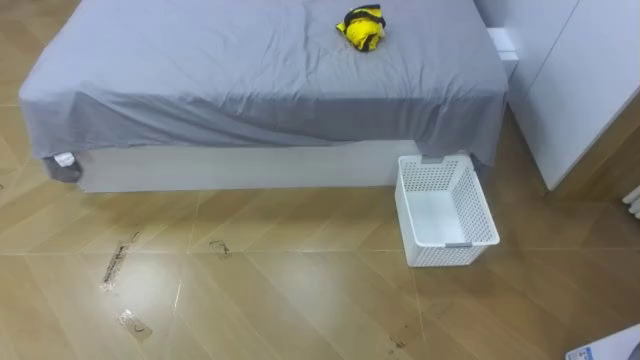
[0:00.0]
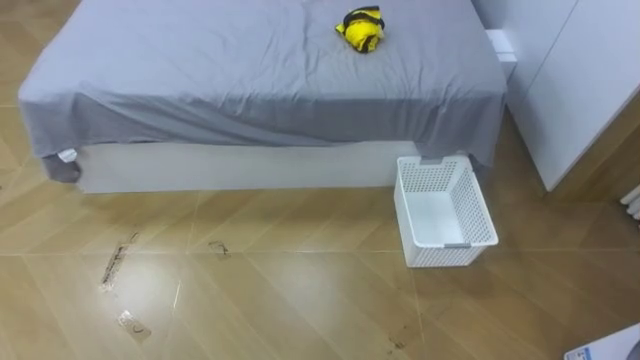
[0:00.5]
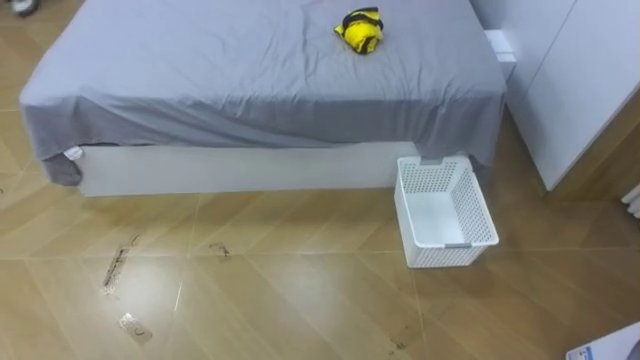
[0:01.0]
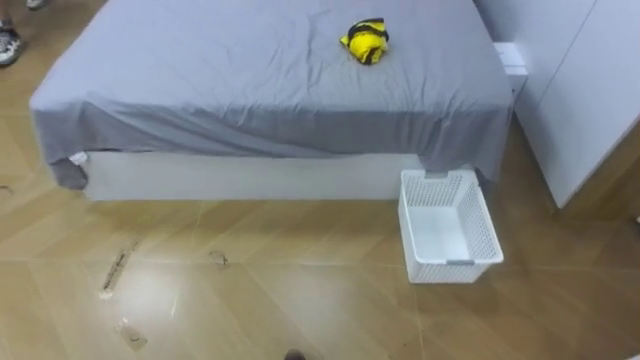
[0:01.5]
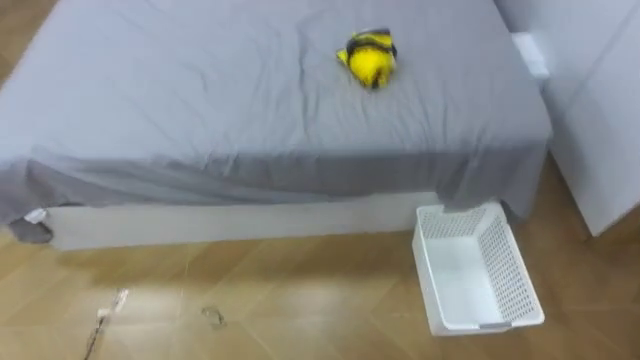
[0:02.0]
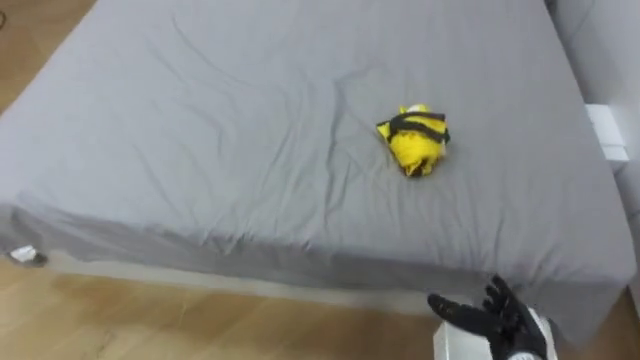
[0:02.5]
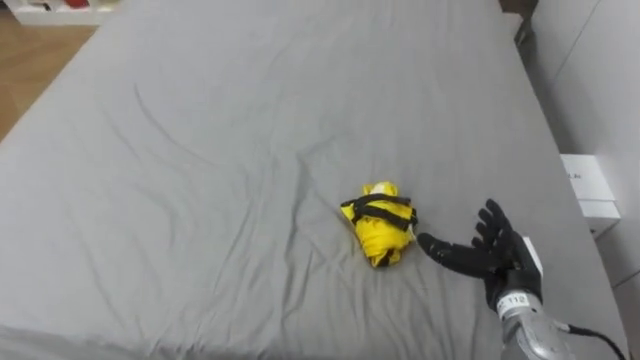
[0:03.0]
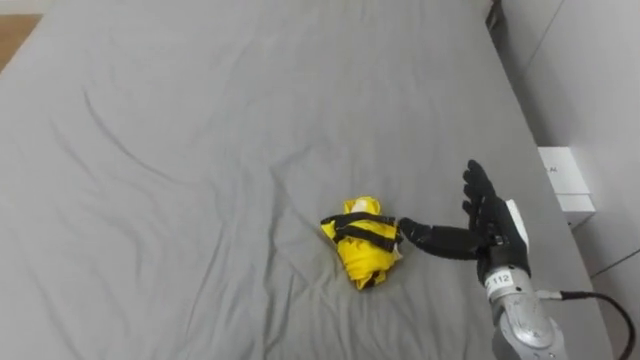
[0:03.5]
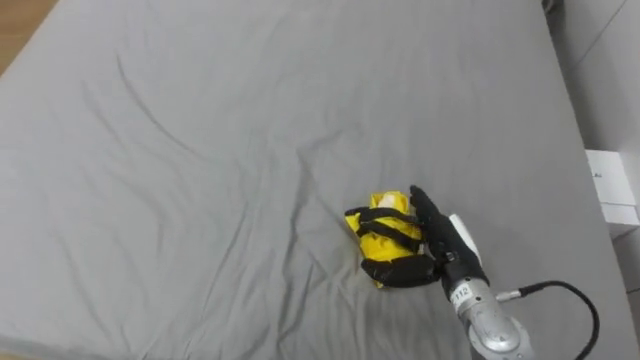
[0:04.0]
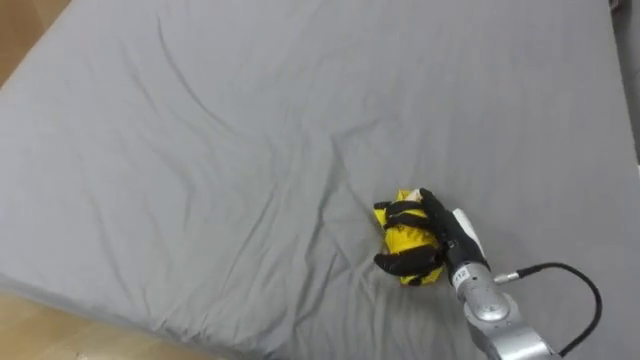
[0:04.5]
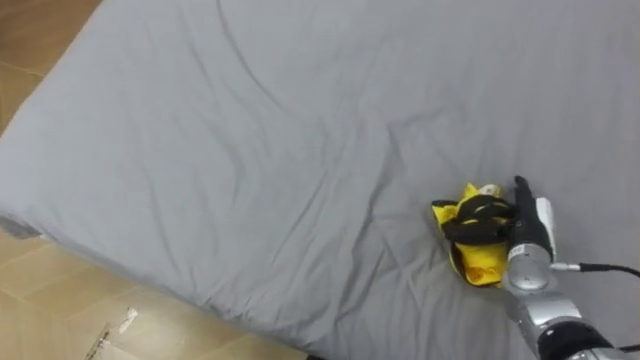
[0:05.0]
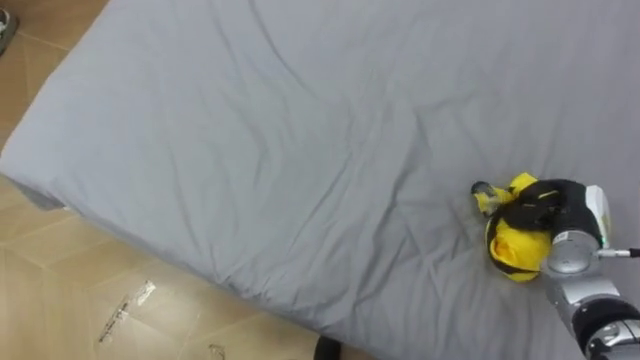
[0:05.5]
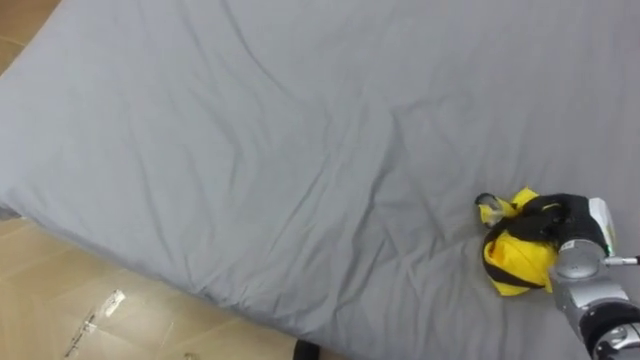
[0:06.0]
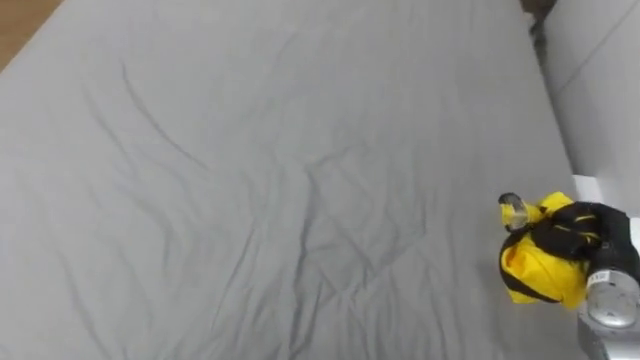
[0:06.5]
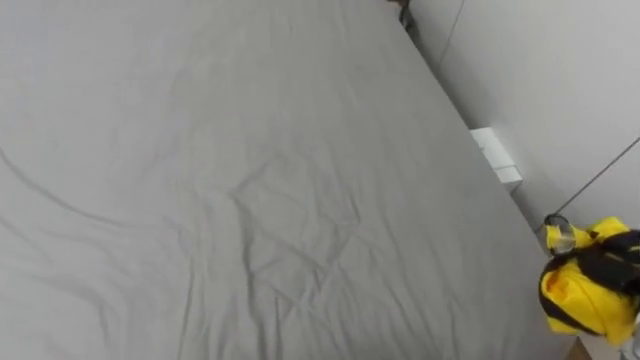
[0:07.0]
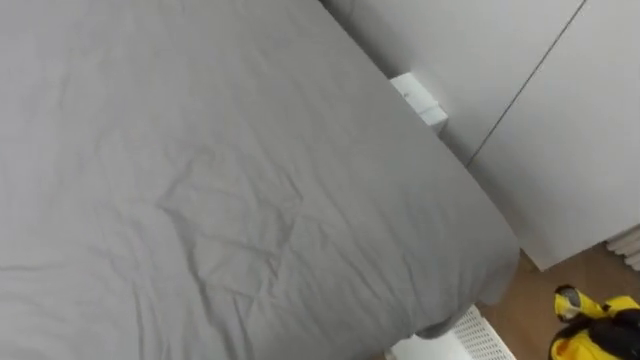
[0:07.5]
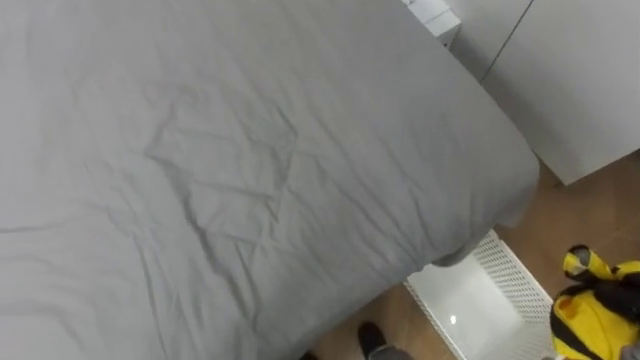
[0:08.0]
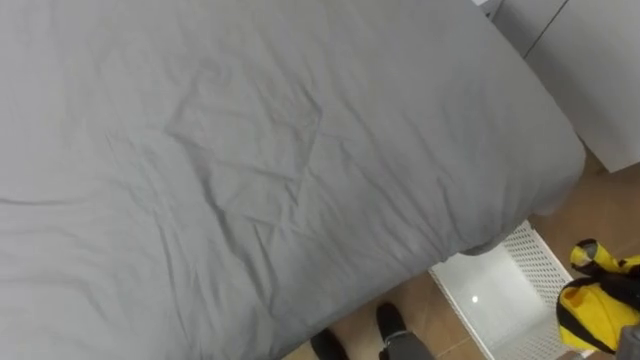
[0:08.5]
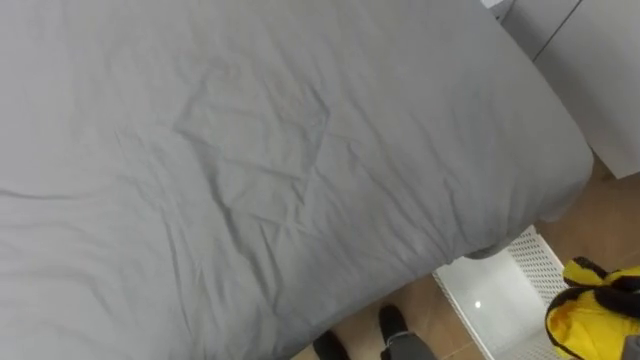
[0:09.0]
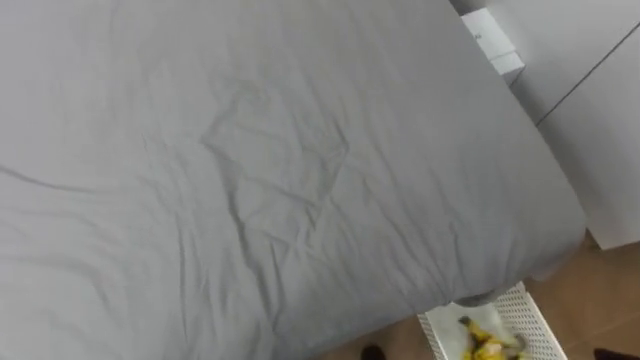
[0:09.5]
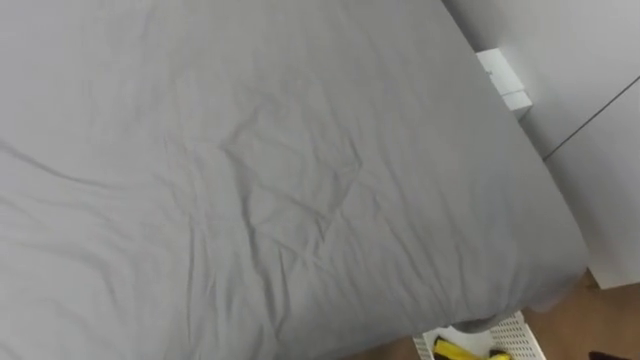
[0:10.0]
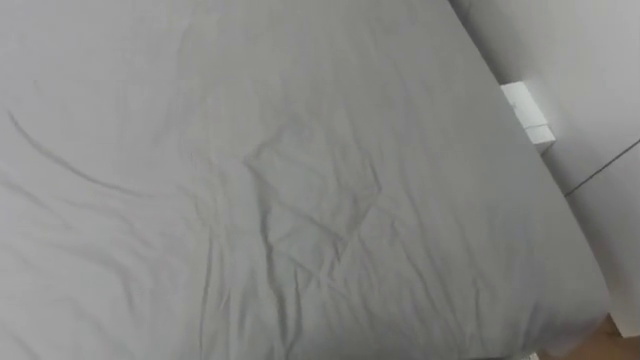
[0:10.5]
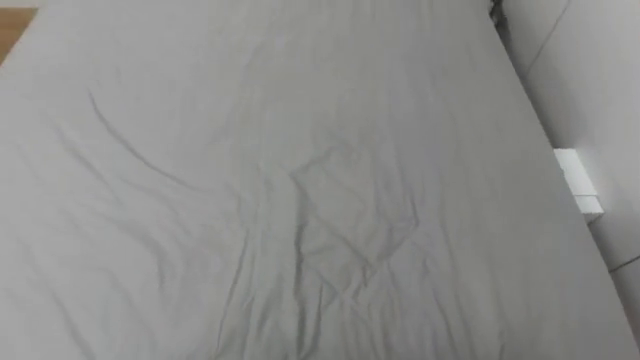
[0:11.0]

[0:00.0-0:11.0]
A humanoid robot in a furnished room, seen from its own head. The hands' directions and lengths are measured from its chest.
Task of the whole recording: Pick up the yellow clothes on the bed and place them into the white basket on the right.
0:03.5 to 0:05.5: The right hand shifts some 10 cm to the right, and closes.
0:09.0 to 0:11.0: The robot's body swings about 20 degrees to its left.

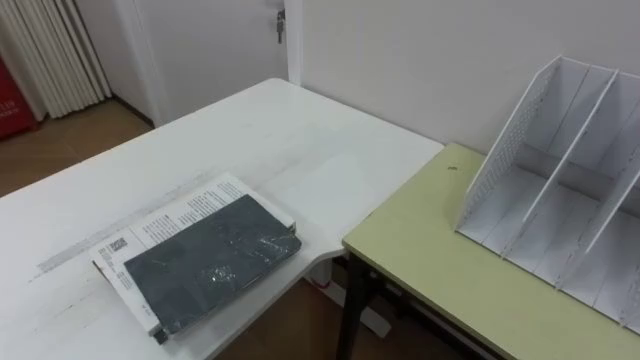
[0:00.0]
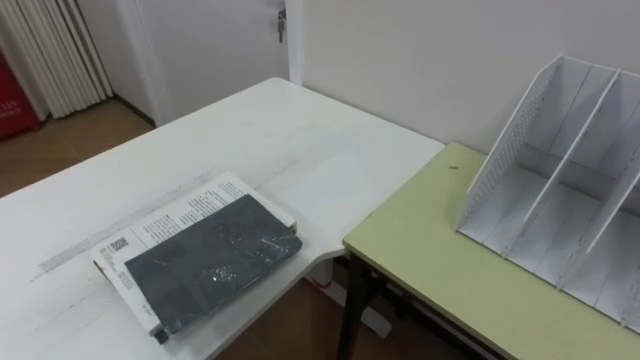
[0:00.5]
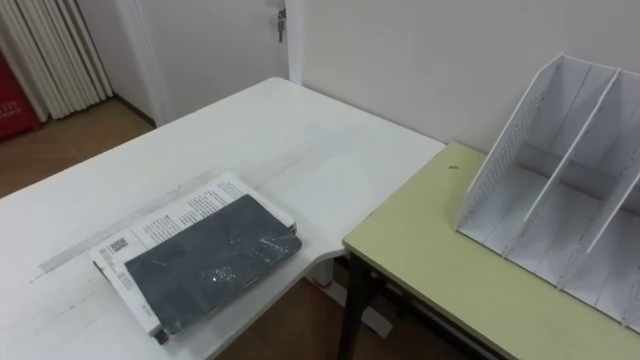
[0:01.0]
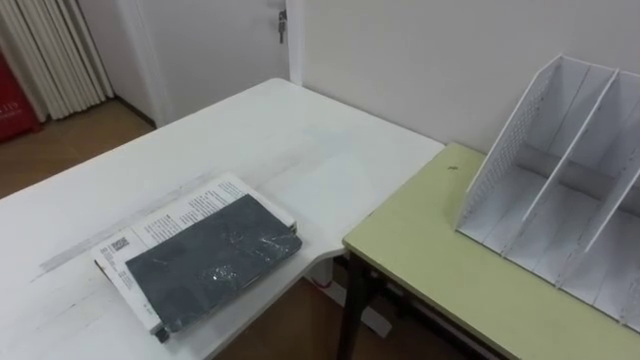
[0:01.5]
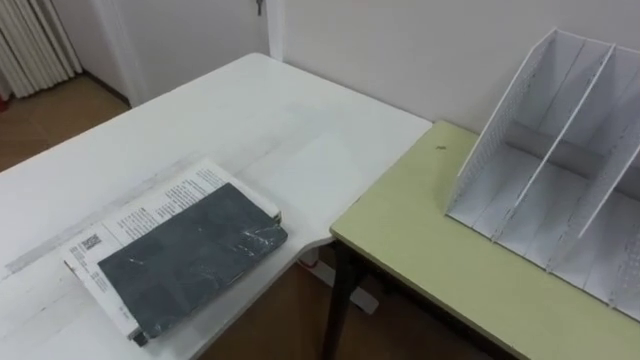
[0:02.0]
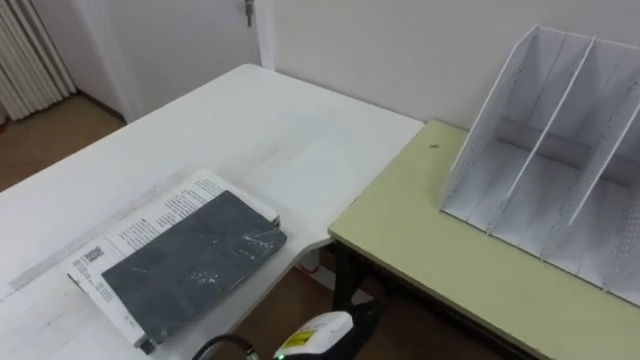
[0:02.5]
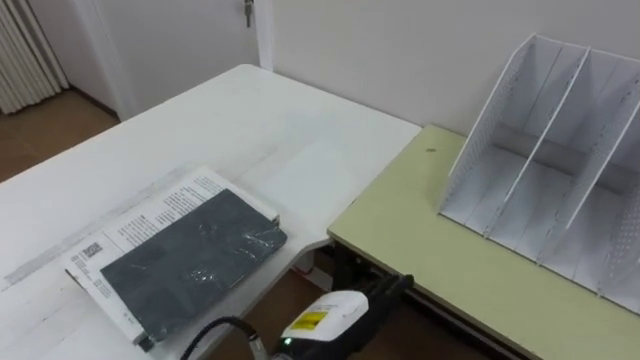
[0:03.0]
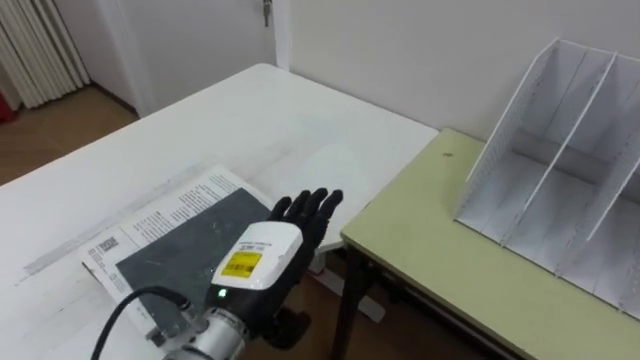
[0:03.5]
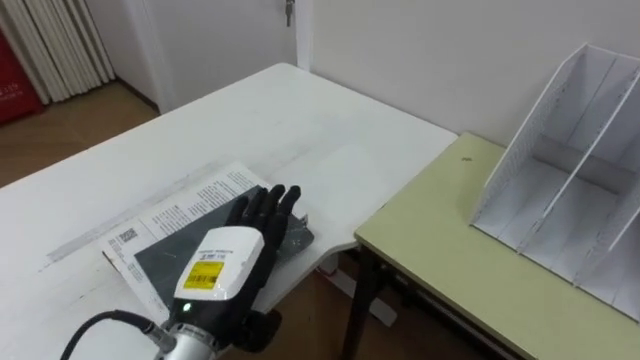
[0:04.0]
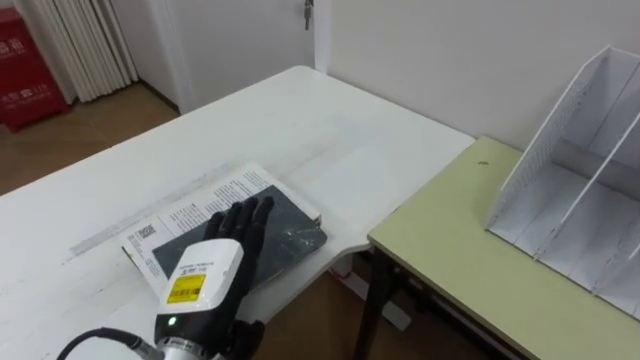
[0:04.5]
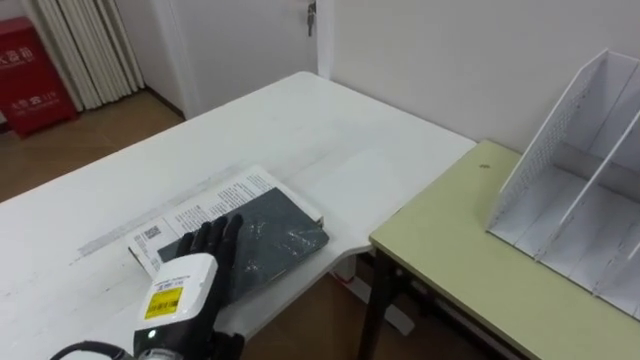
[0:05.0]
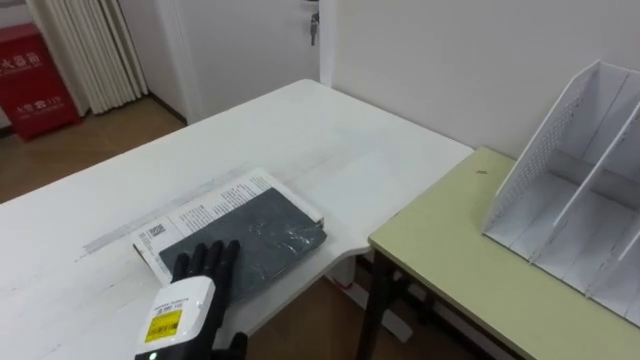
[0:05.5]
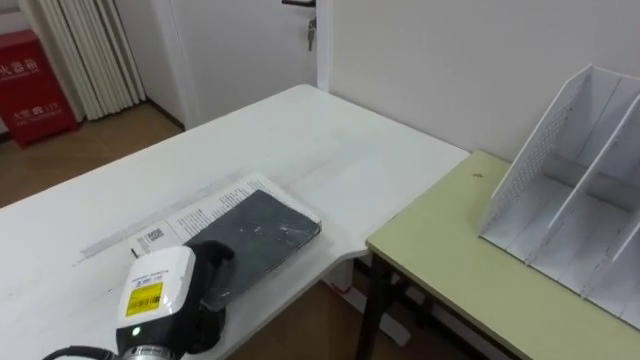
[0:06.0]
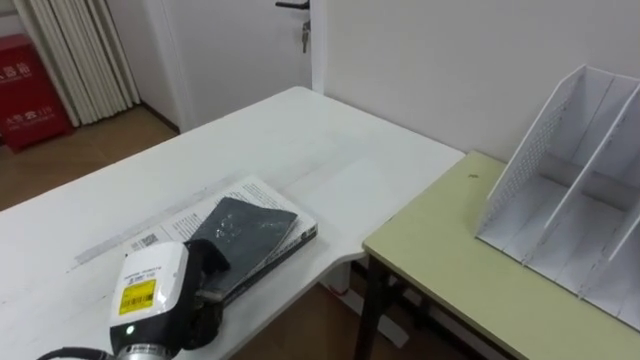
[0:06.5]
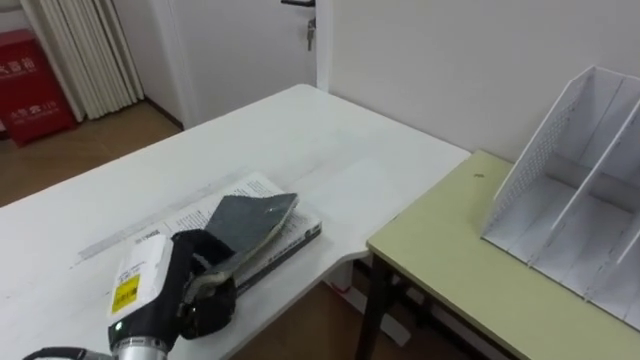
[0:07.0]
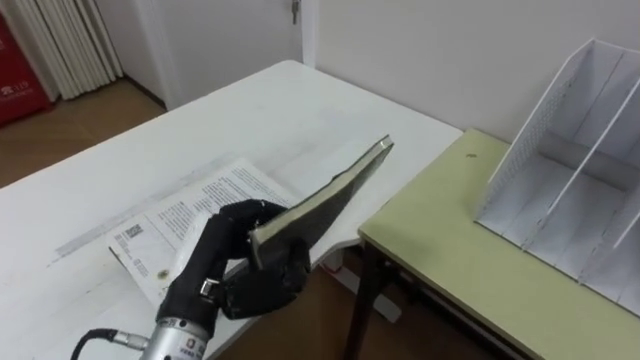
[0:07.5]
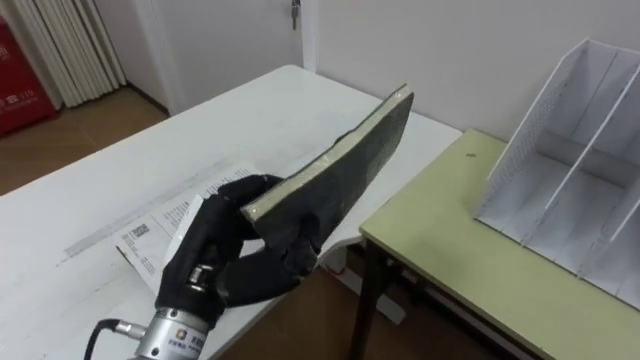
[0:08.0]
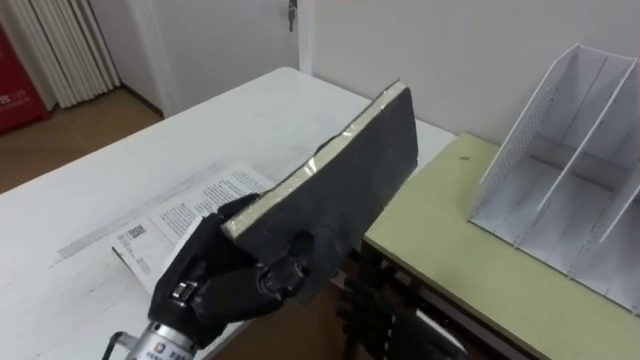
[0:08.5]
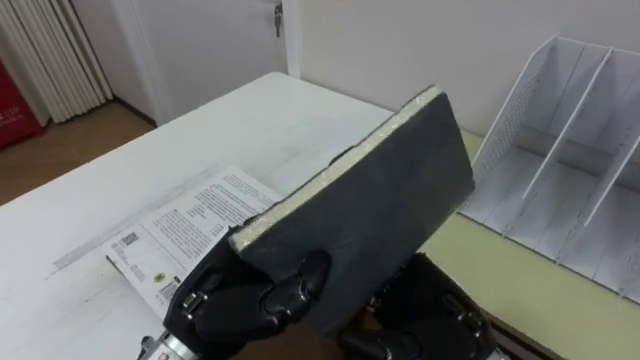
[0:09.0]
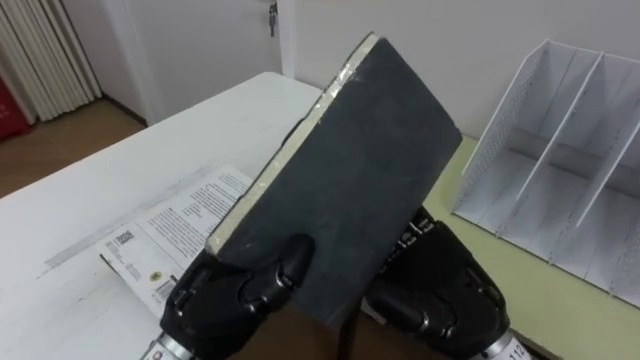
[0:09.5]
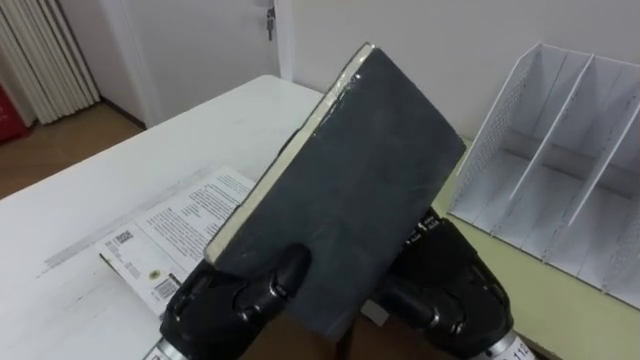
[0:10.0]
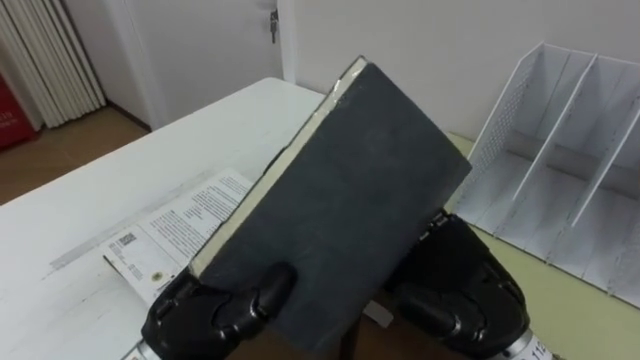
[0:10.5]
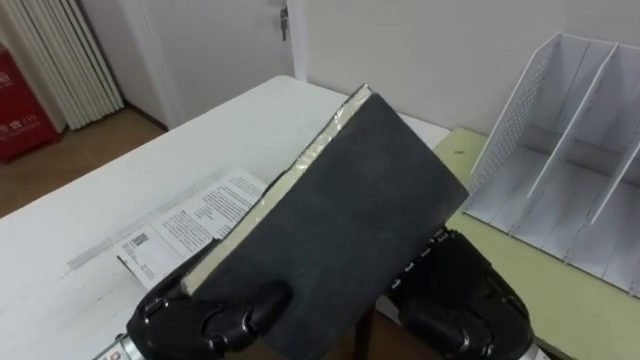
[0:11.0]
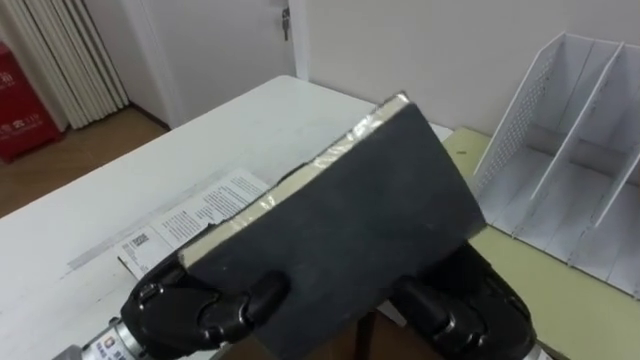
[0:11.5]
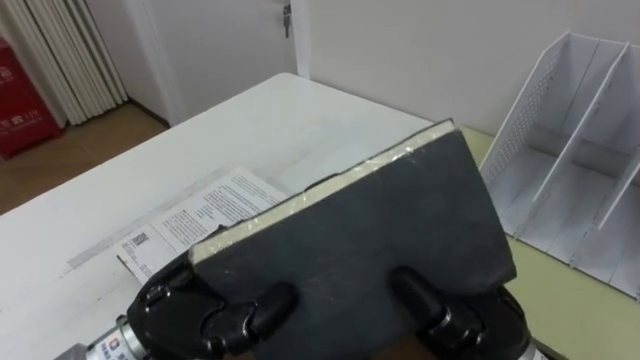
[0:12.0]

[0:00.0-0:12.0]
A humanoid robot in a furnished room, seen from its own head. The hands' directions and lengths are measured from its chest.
Task of the whole recording: Put the books on the table onto the bookshelf.
0:04.0 to 0:06.0: The left hand shifts approximately 5 cm to the left, and closes its fingers.
0:06.0 to 0:08.0: The left hand shifts roughly 10 cm upward and to the right.
0:10.0 to 0:12.0: The right hand closes its fingers.
